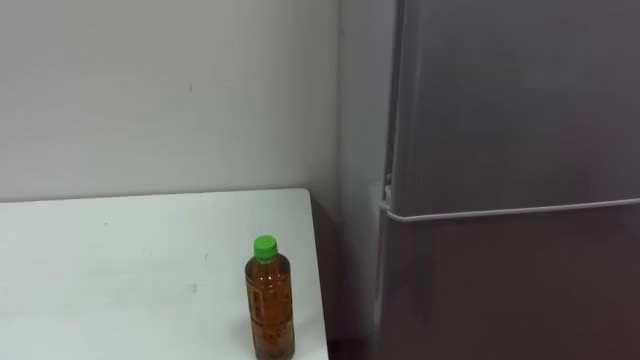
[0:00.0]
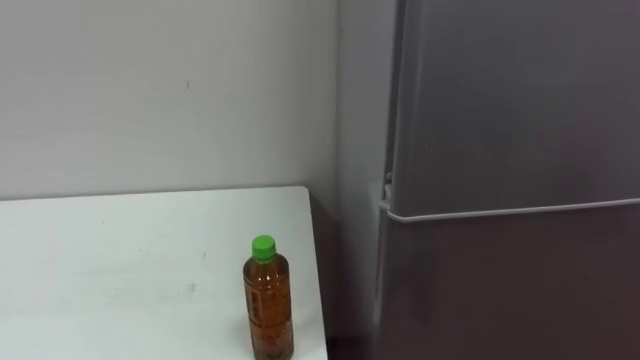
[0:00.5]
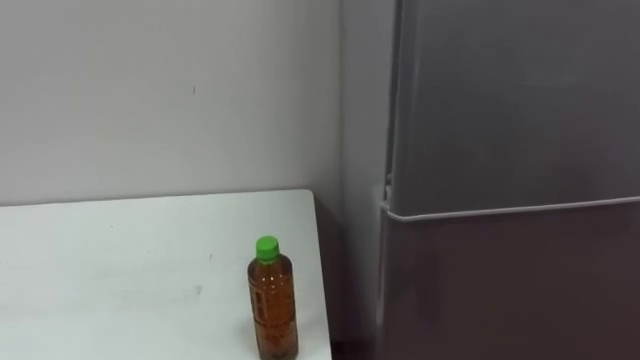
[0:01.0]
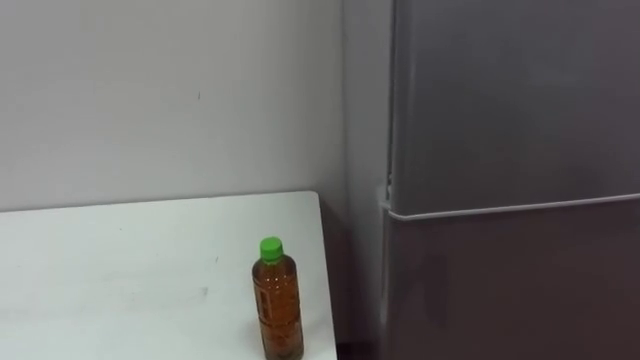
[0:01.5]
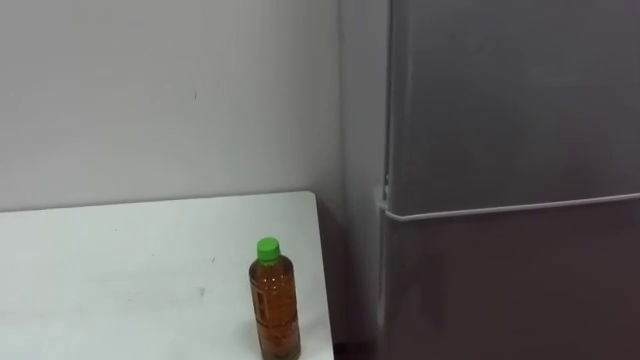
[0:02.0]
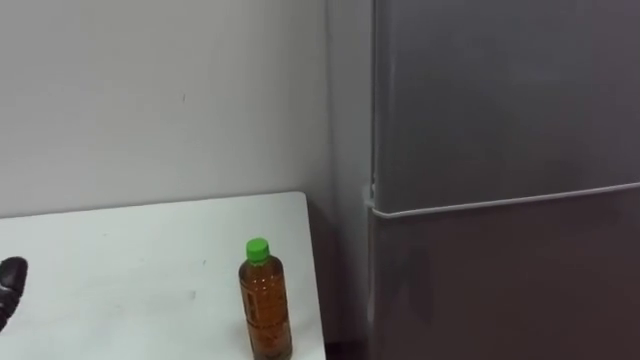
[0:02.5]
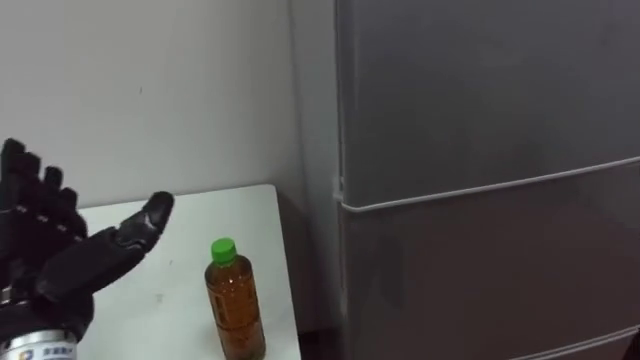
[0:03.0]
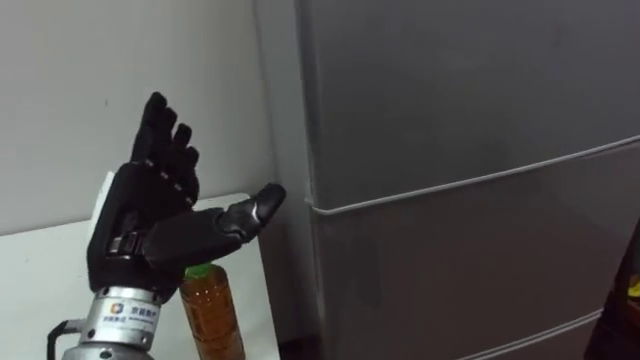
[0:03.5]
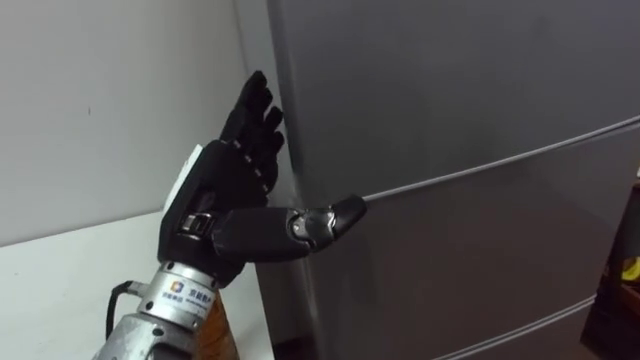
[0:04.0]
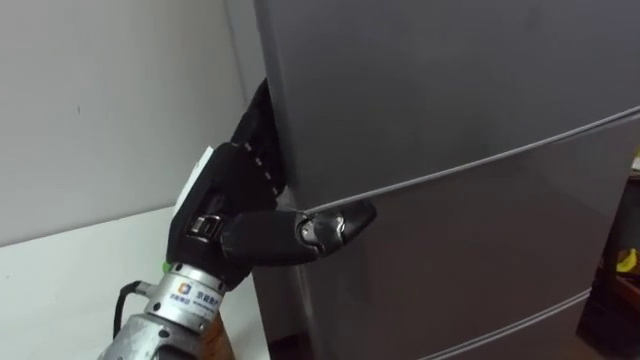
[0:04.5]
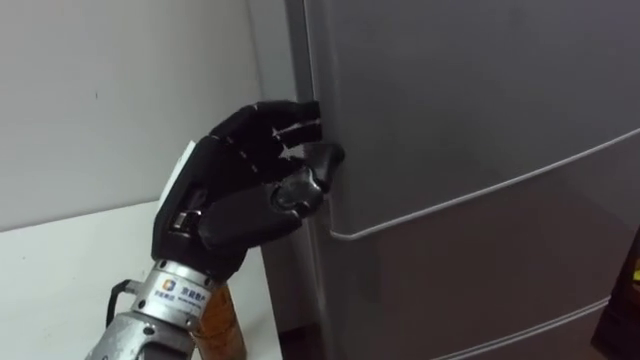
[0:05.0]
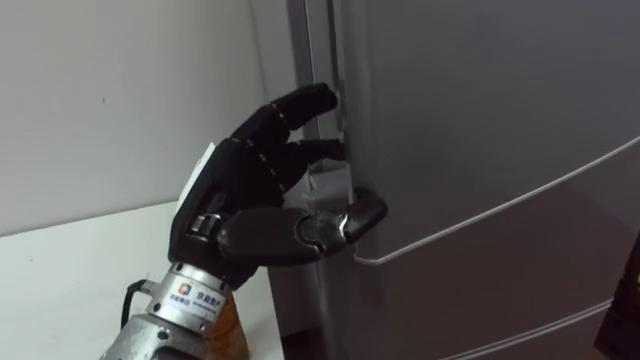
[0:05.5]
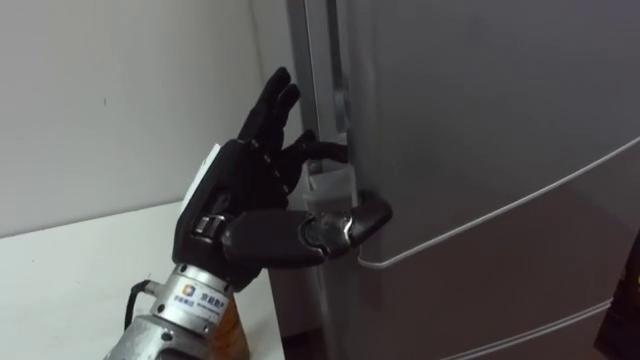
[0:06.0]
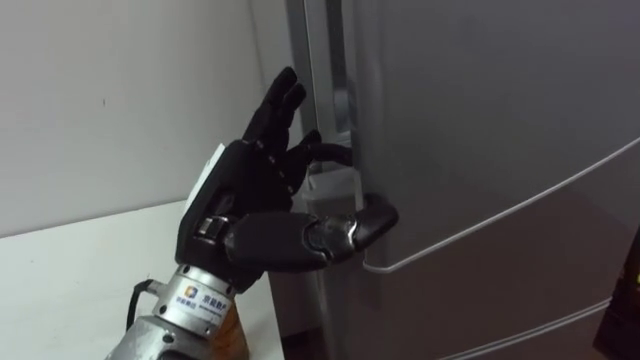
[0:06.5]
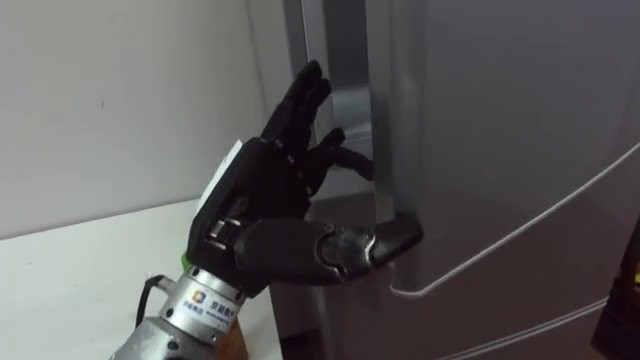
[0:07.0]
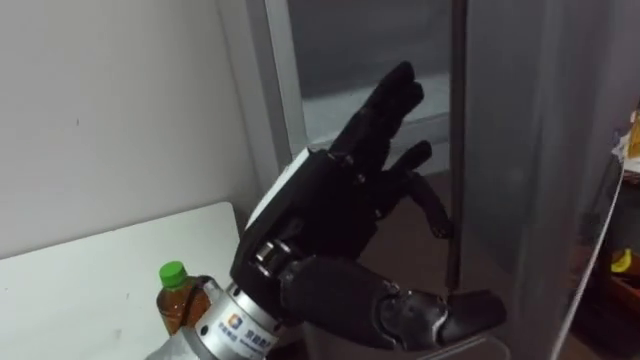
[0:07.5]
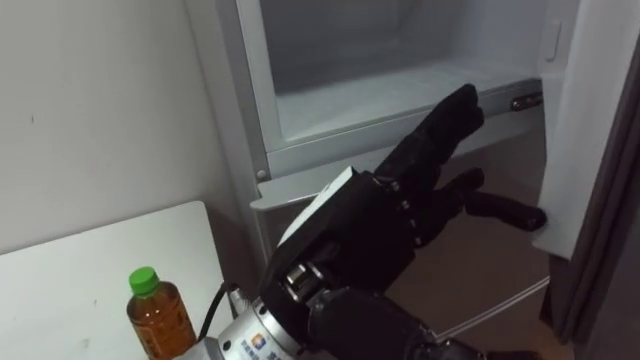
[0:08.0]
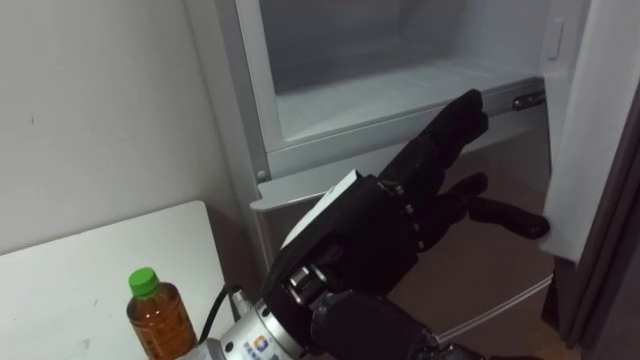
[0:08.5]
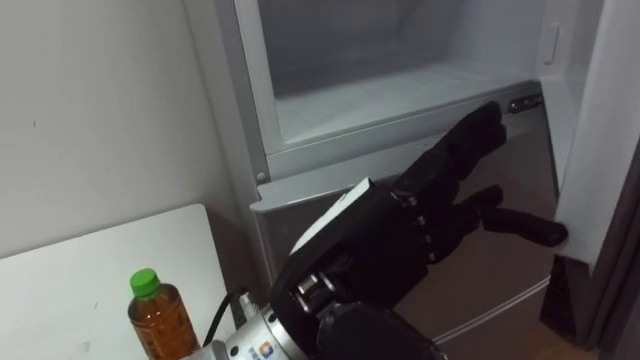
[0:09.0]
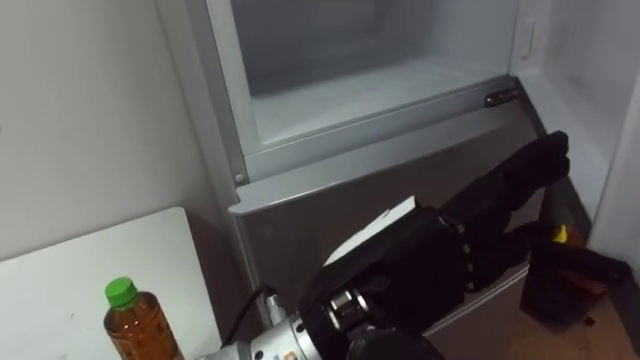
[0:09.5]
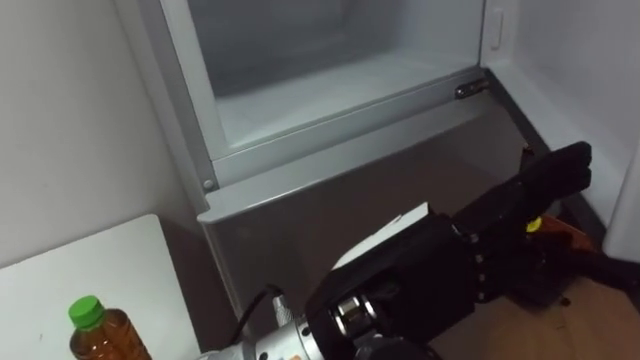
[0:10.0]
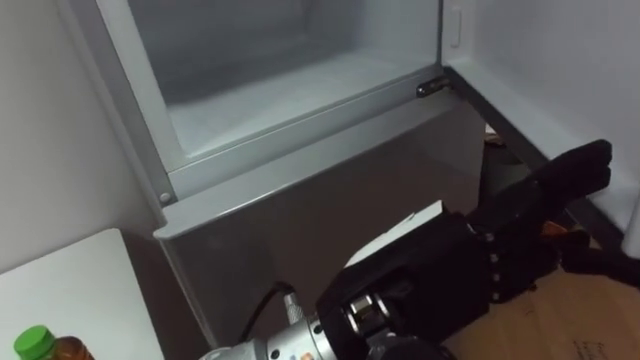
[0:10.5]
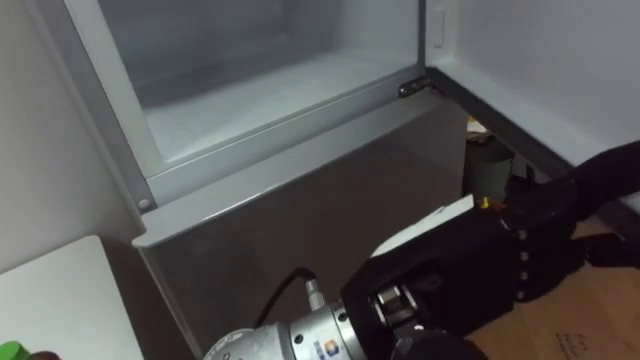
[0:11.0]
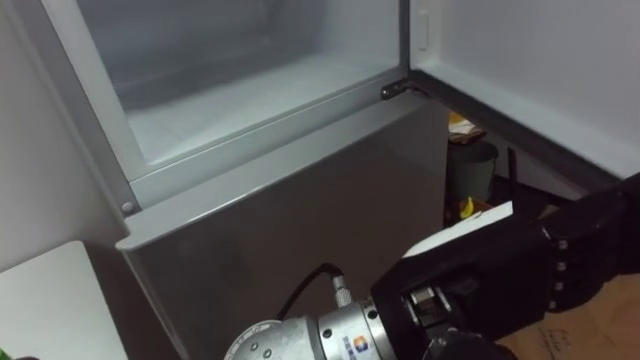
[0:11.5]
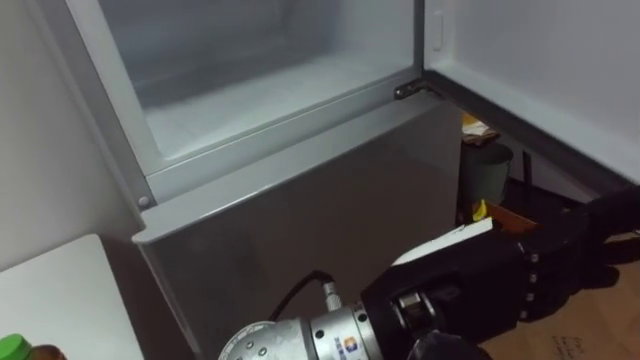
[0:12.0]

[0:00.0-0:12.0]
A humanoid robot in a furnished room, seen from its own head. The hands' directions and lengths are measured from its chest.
Task of the whole recording: Open the upper refrigerator door, put the drink from the table into the refrigerator, and then close the refrigerator door.
0:04.0 to 0:06.0: The left hand closes, then reopens.
0:06.0 to 0:08.0: The left hand shifts roughly 10 cm to the right and backward.

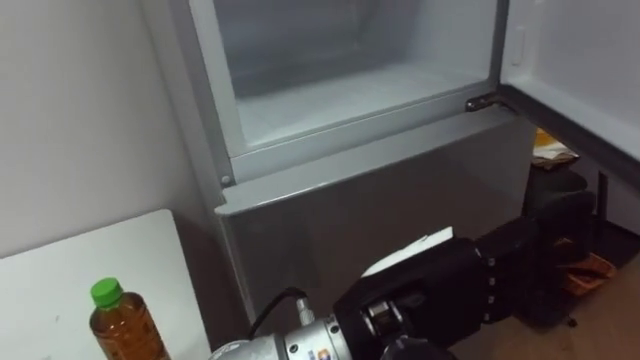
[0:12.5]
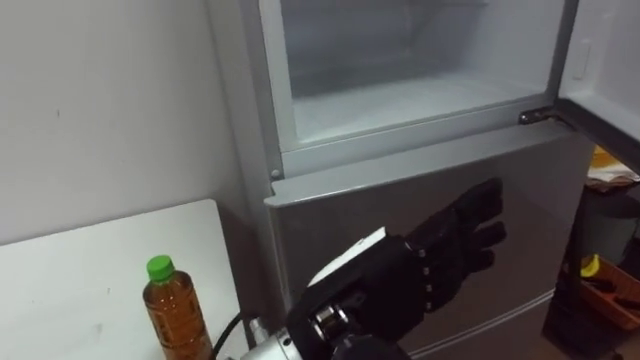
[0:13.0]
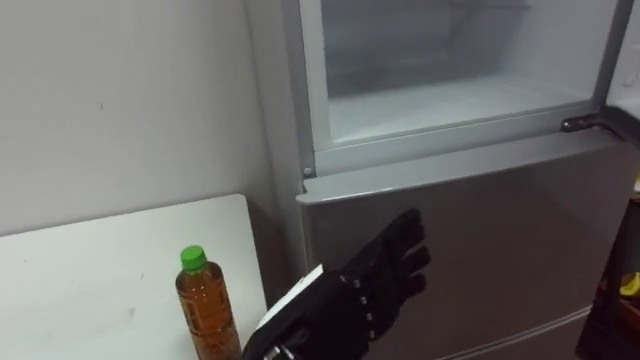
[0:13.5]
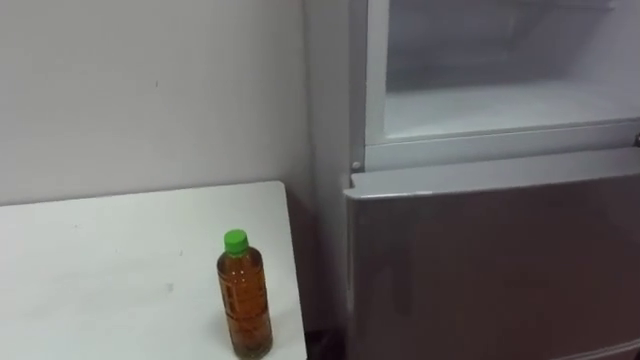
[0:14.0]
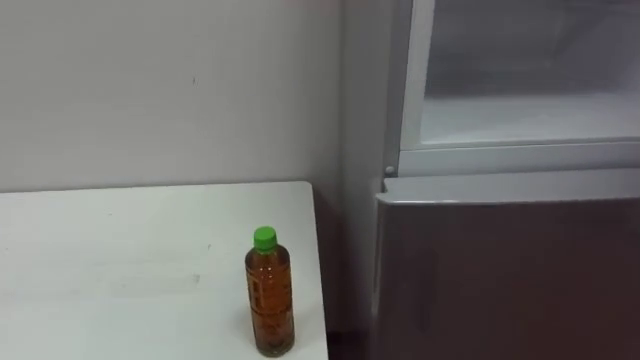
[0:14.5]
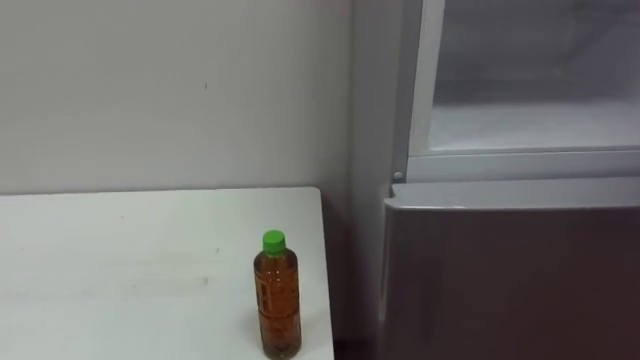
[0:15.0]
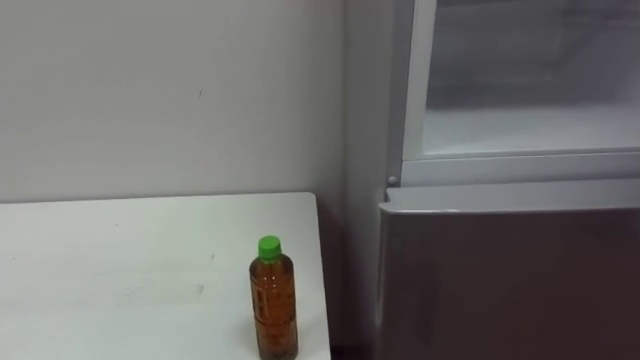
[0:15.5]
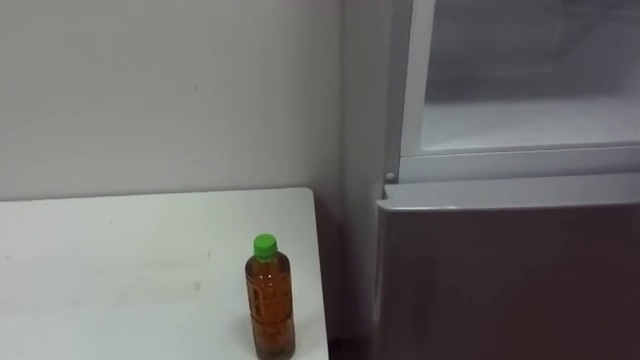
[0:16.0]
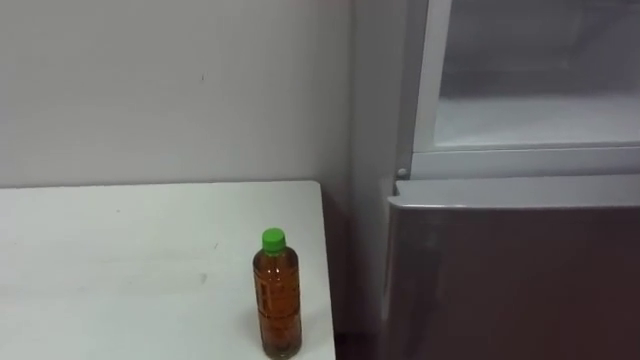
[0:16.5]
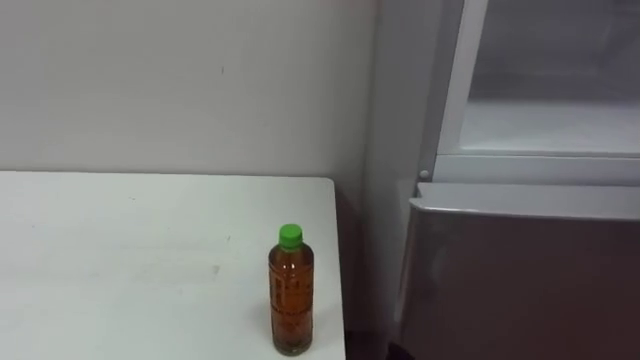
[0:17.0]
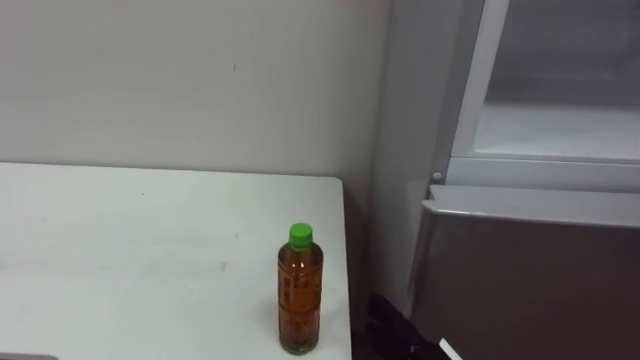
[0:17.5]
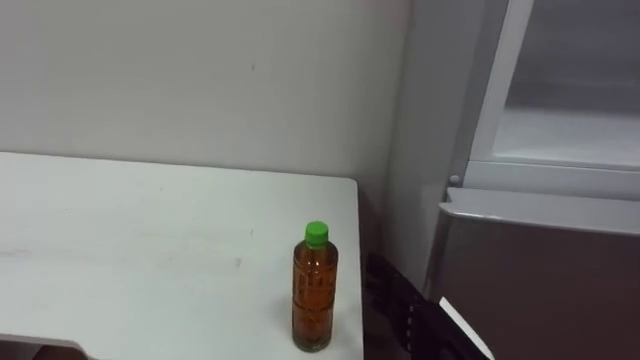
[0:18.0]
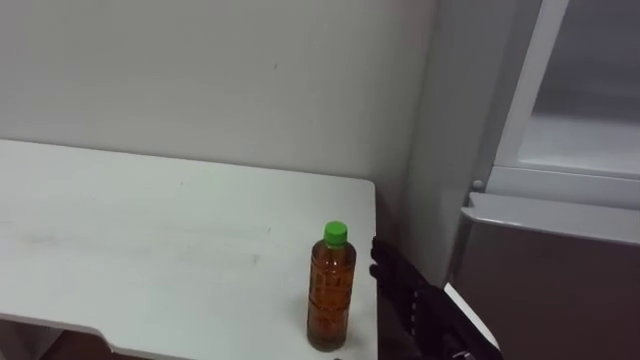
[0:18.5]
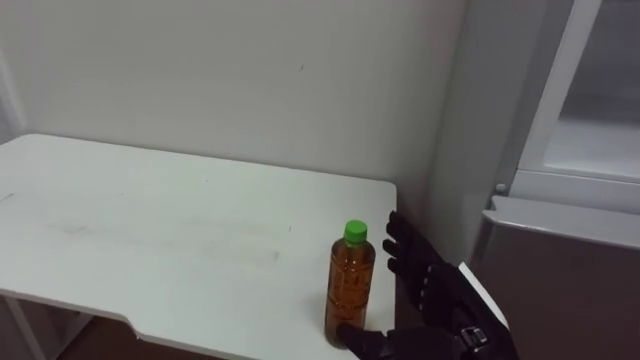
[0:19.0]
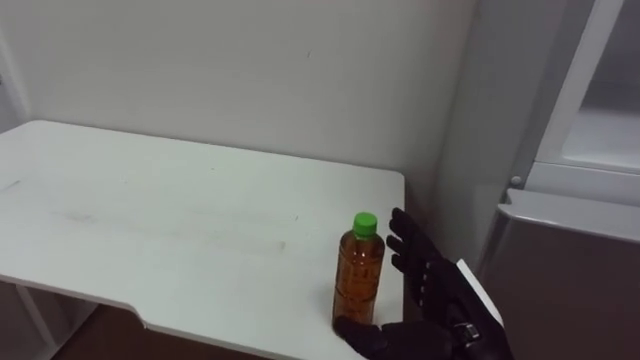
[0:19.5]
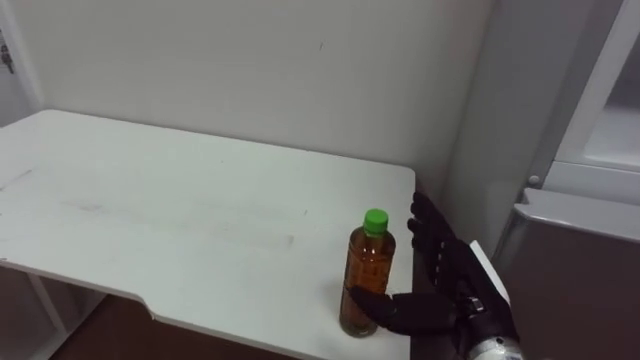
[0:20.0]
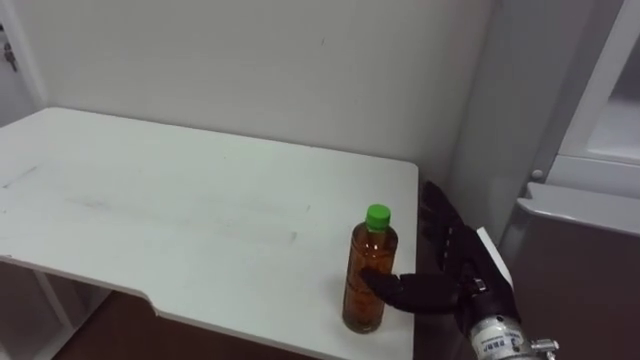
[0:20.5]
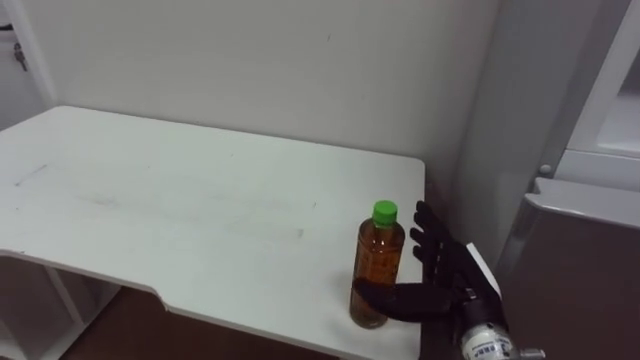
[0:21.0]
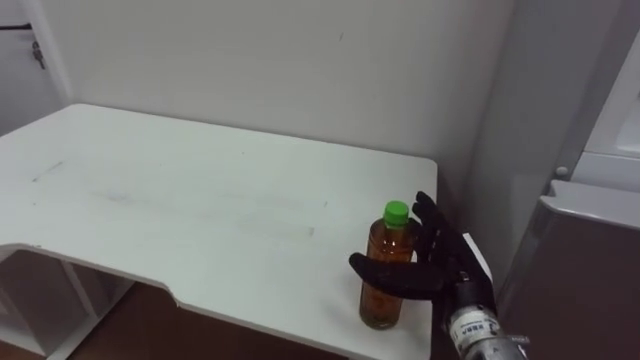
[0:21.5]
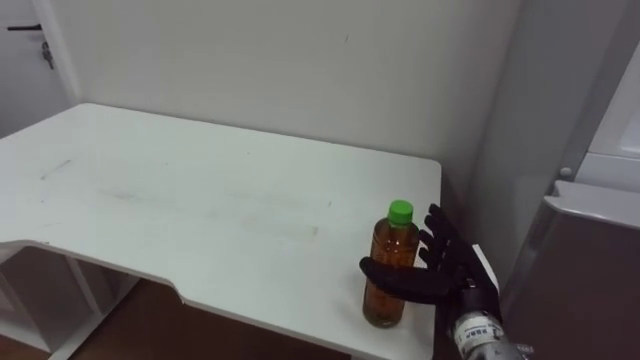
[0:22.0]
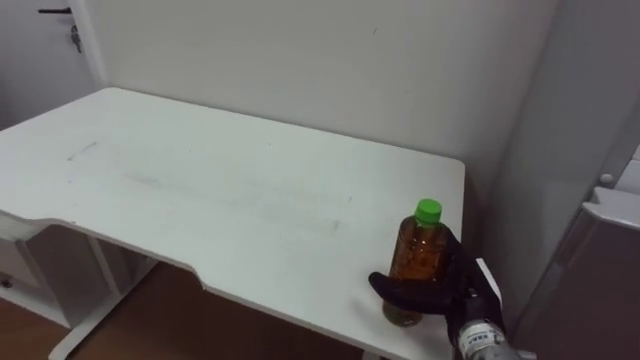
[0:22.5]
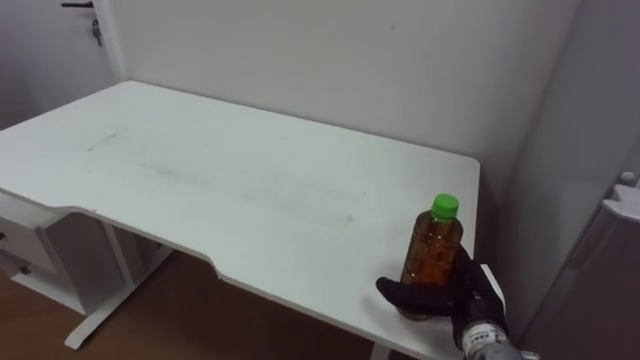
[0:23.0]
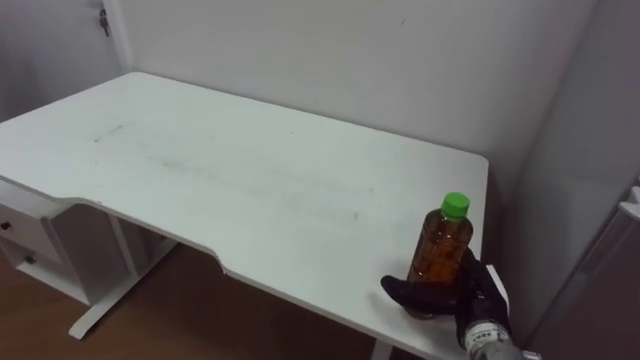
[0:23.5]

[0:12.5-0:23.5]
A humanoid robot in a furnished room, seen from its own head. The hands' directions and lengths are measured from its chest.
Task of the whole recording: Open the upper refrigerator door, put the drink from the table into the refrigerator, and then close the refrigerator door.
0:18.0 to 0:20.0: The right hand ends up about 5 cm from where it was.
0:21.5 to 0:23.5: The right hand moves downward, roughly 5 cm.
